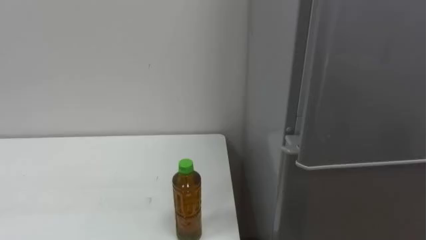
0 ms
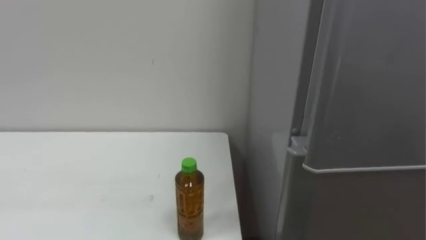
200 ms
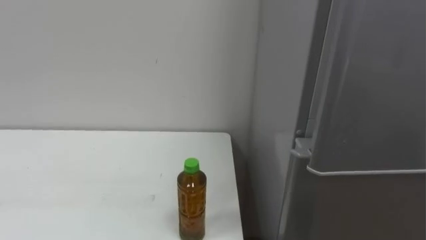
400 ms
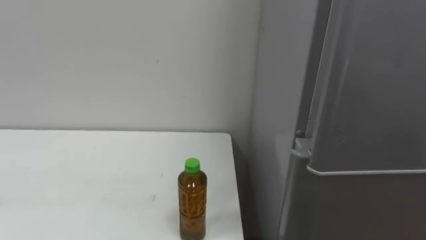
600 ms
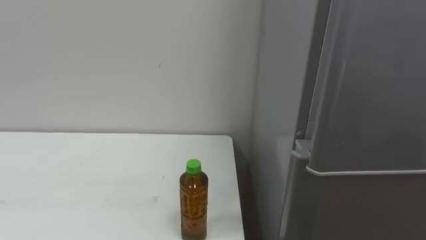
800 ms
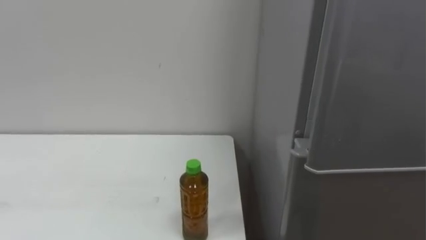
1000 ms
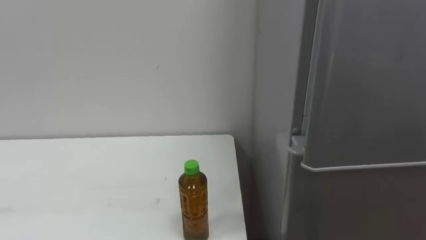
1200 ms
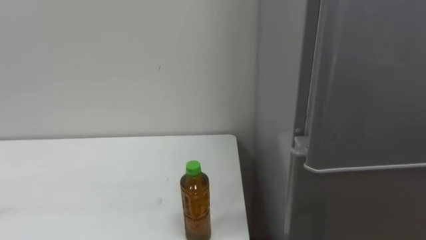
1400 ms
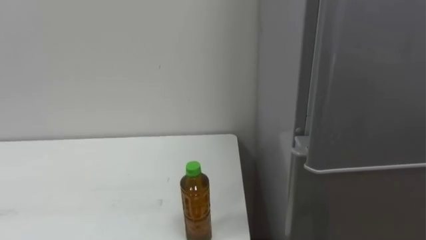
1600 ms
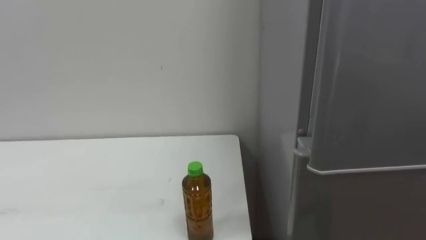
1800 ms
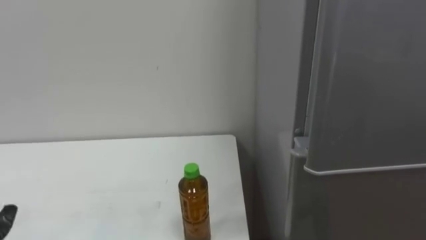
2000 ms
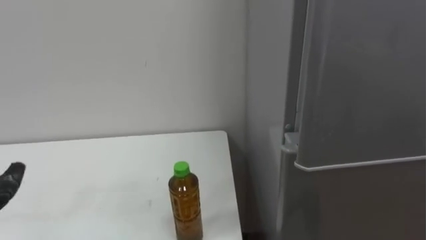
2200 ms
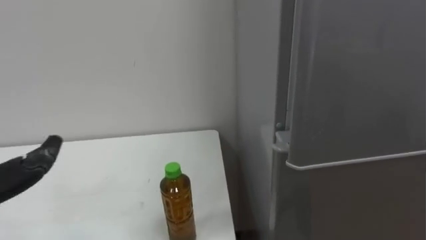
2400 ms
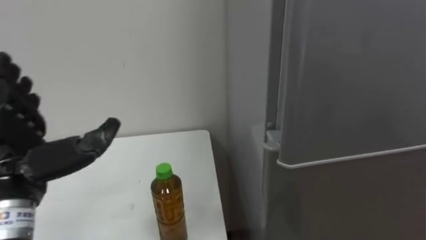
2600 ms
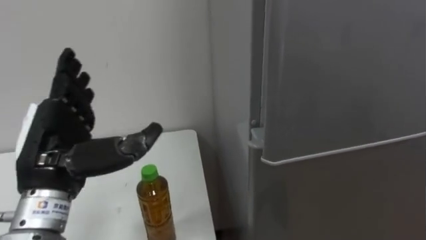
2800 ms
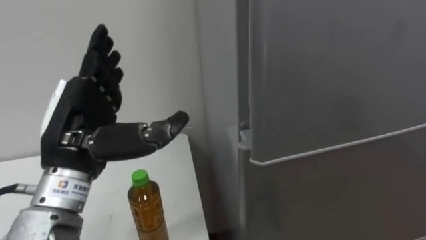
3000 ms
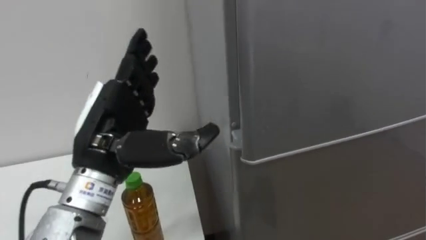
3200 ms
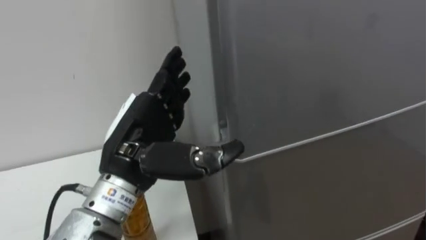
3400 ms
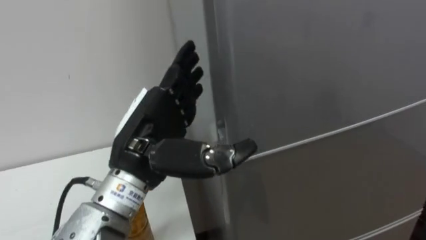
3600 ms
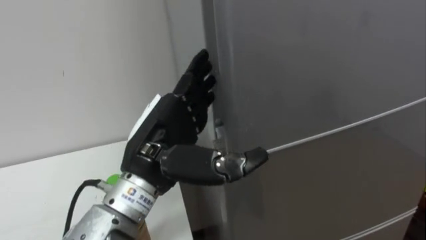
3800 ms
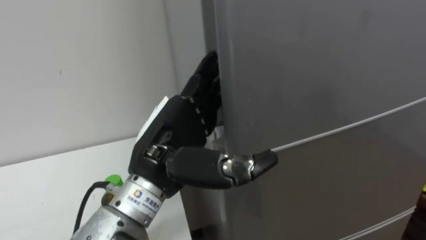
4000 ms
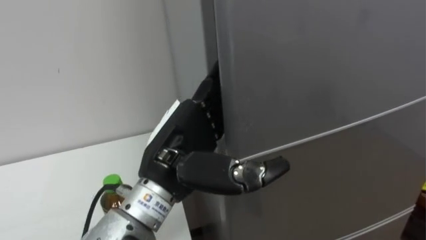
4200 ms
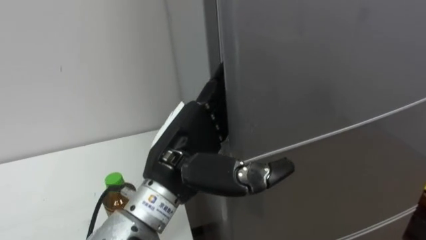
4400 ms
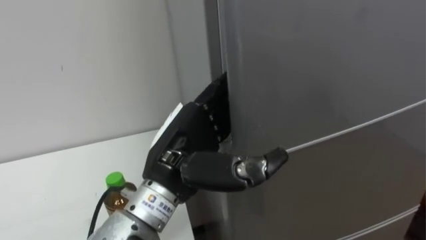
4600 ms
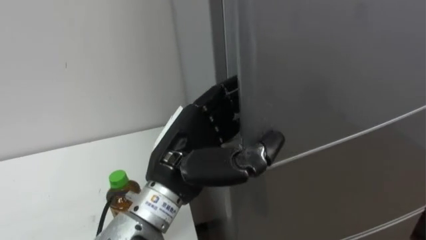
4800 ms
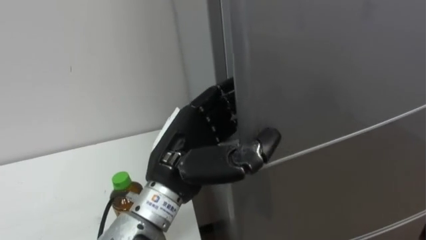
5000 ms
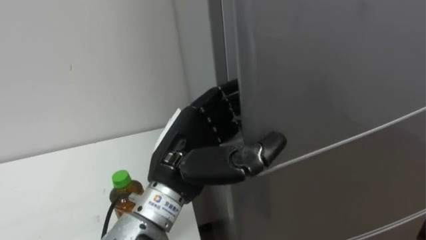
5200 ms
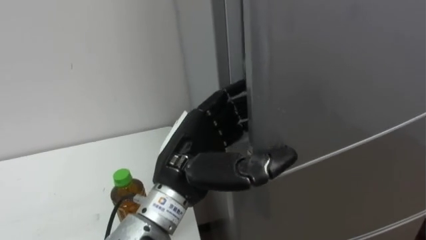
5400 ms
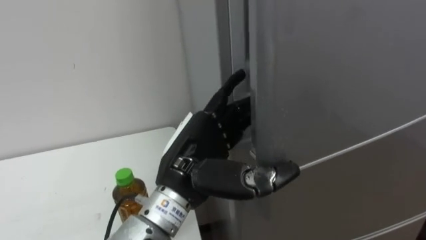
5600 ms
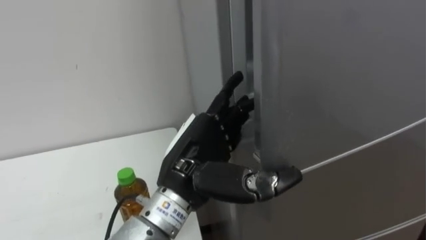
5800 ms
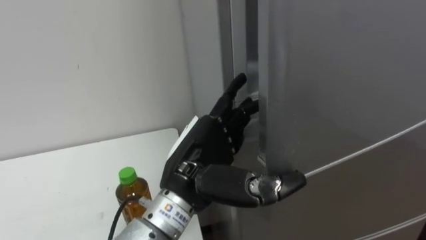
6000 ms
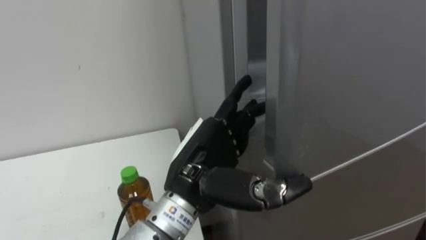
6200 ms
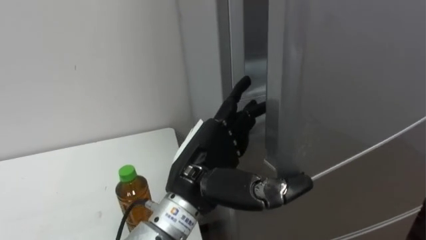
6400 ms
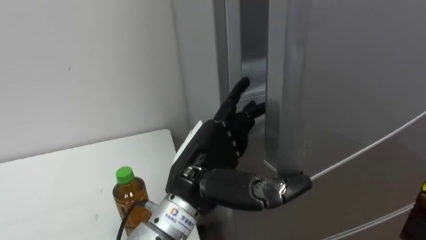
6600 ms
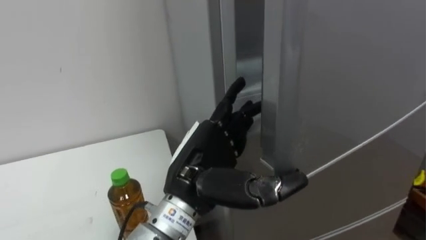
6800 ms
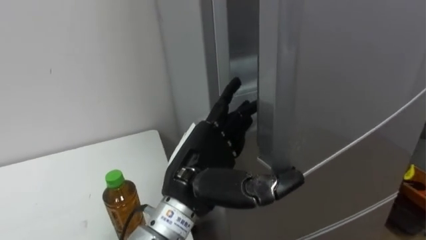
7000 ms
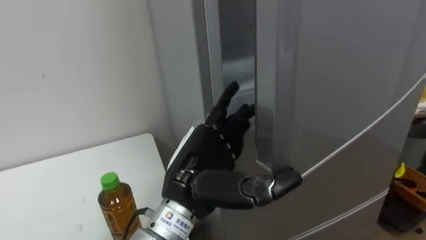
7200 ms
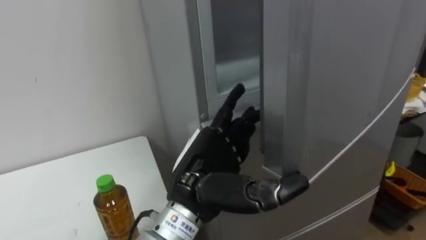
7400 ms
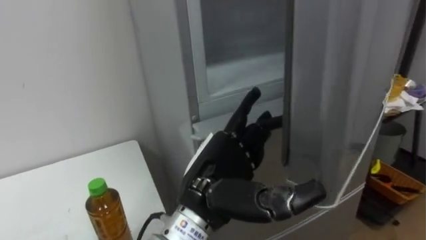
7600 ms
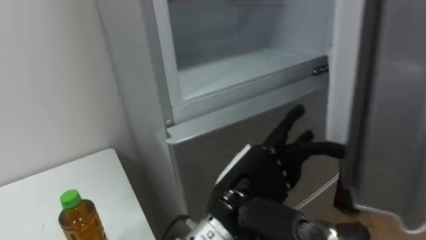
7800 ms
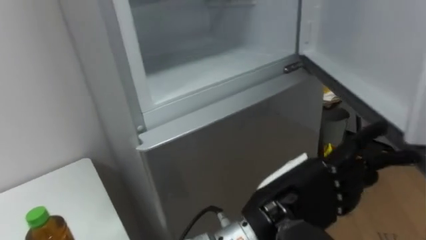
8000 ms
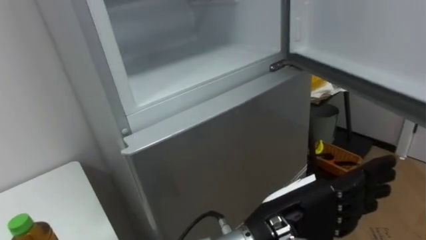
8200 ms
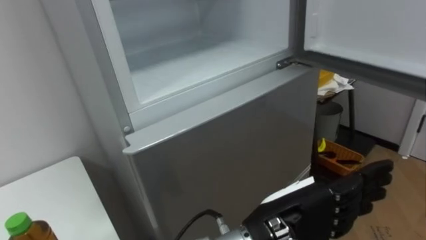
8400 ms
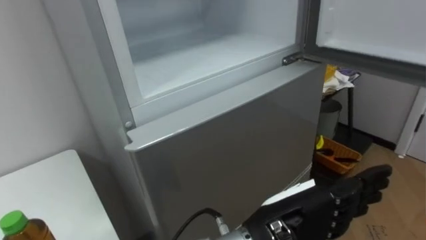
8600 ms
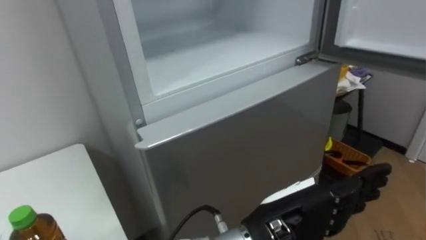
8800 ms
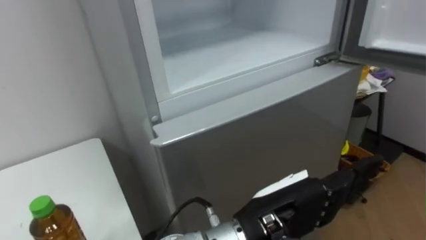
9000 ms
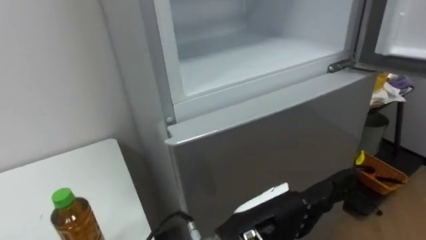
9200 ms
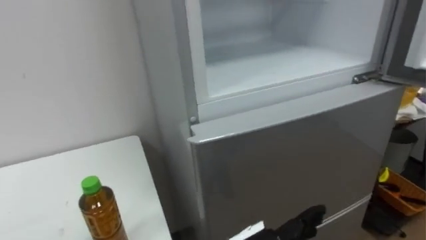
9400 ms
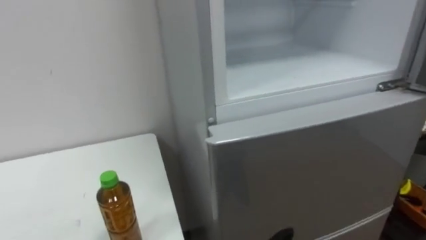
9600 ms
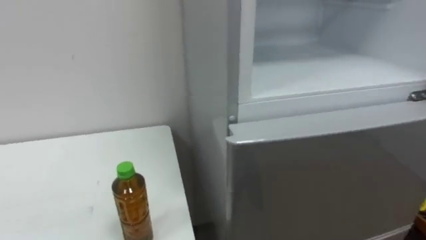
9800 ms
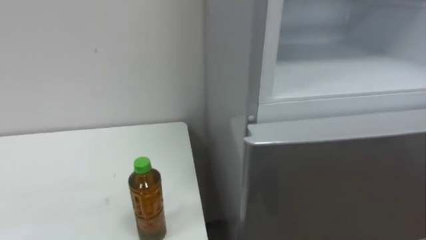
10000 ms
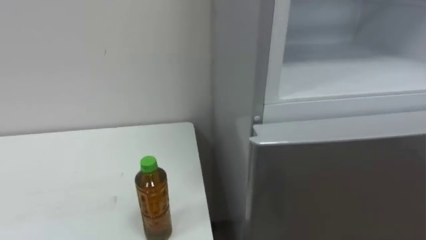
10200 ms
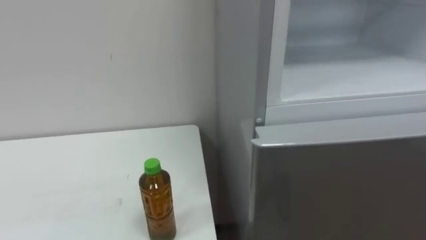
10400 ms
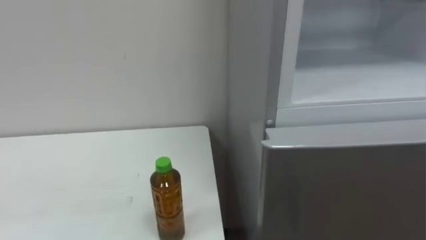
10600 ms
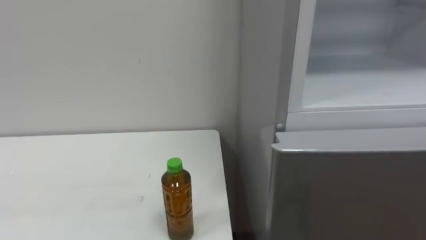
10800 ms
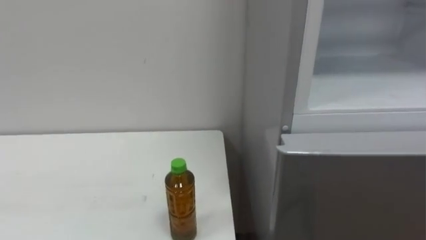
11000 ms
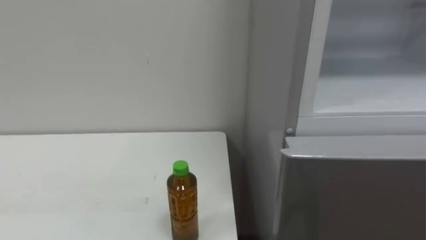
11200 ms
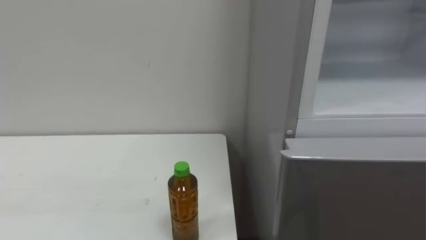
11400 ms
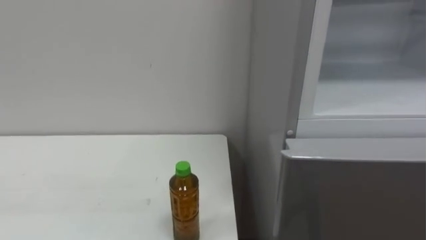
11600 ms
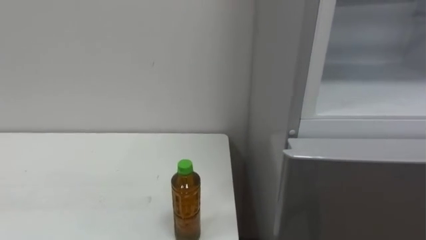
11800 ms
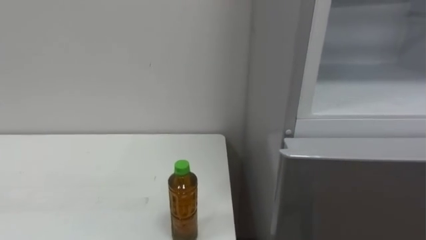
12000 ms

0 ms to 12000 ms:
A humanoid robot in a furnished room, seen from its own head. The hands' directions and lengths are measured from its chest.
Task of the whole recording: Open the upper refrigerator door, put the drink from the table into the refrigerator, and then close the refrigerator door.
3000 ms to 4400 ms: The left hand moves to the right, some 15 cm.
4400 ms to 6000 ms: The left hand closes, then reopens.
7600 ms to 9000 ms: The left hand shifts roughly 5 cm to the right.

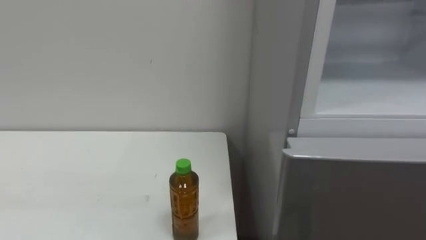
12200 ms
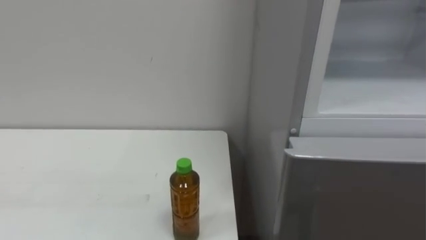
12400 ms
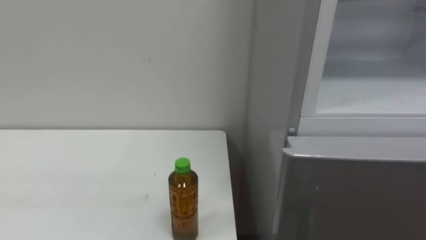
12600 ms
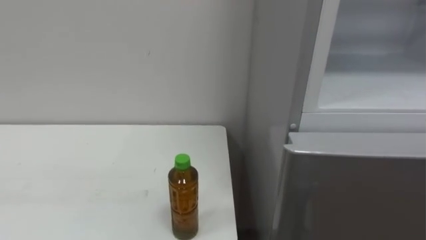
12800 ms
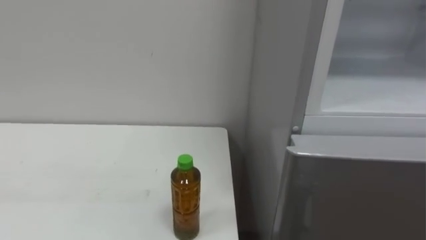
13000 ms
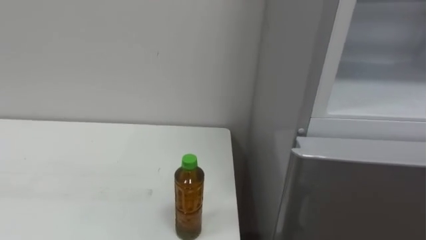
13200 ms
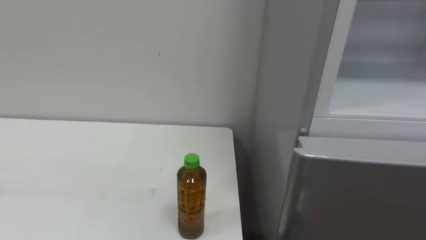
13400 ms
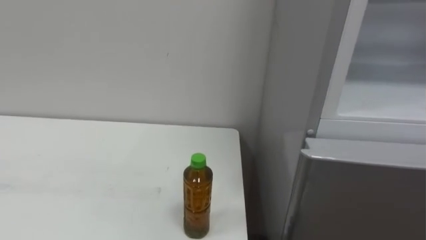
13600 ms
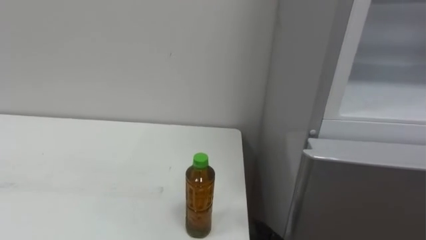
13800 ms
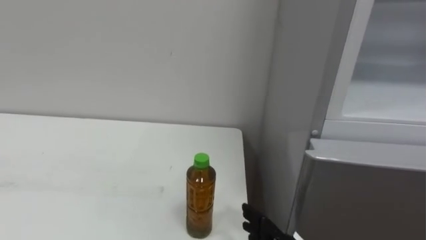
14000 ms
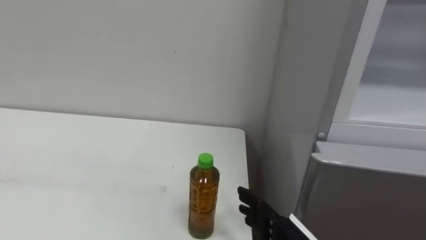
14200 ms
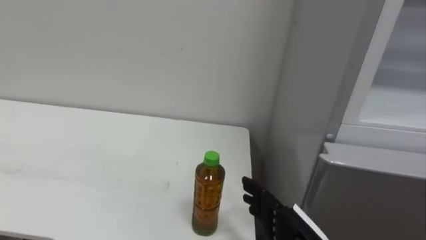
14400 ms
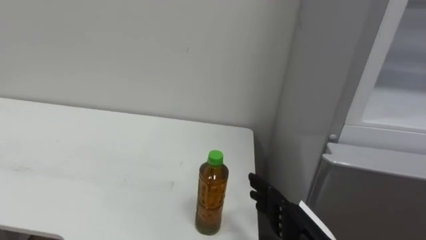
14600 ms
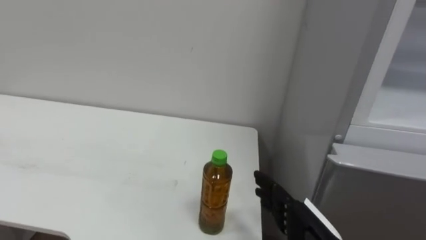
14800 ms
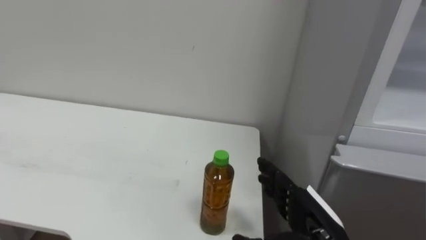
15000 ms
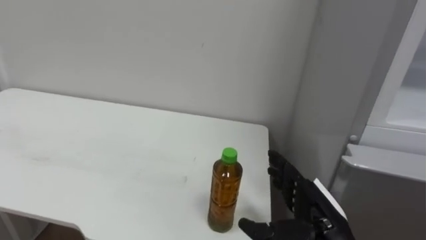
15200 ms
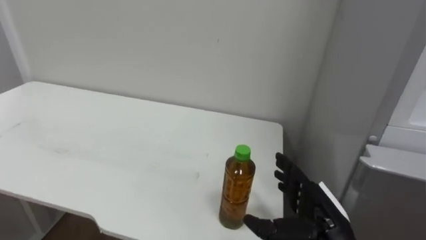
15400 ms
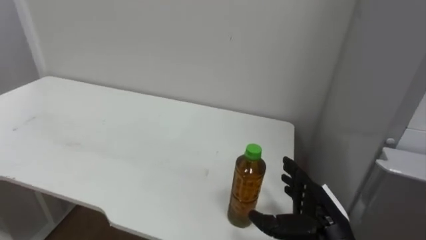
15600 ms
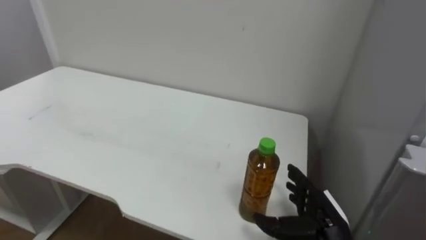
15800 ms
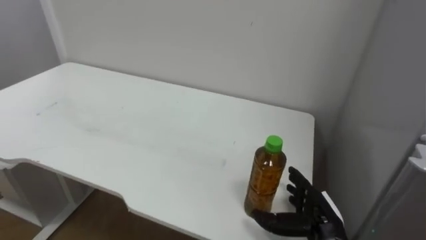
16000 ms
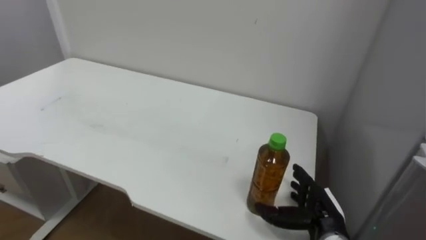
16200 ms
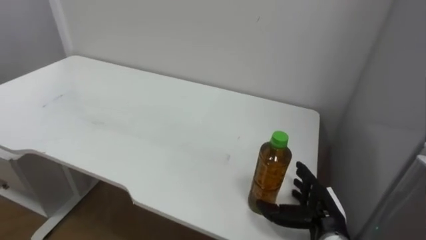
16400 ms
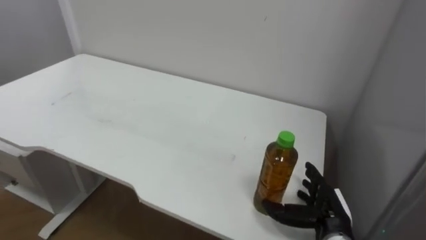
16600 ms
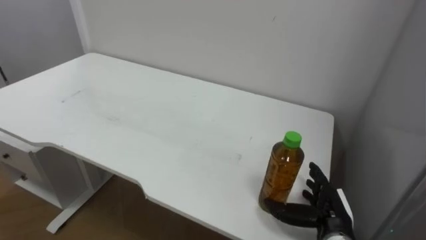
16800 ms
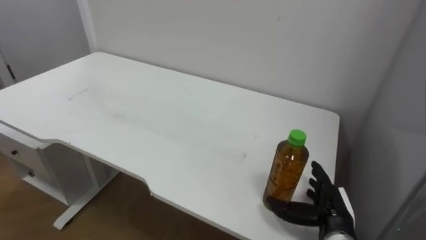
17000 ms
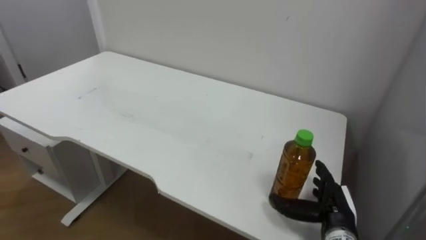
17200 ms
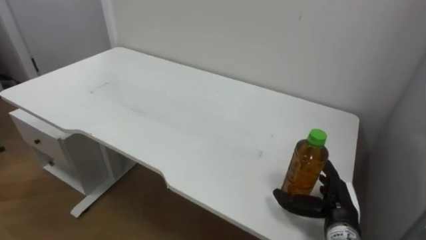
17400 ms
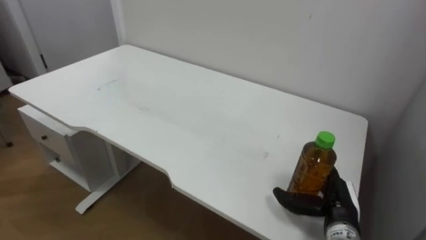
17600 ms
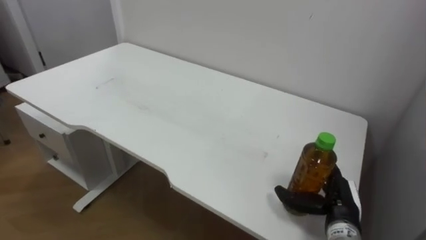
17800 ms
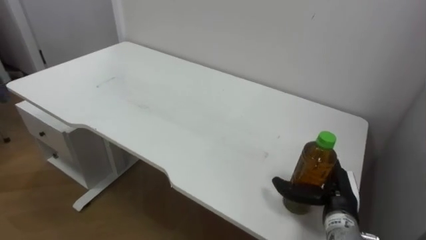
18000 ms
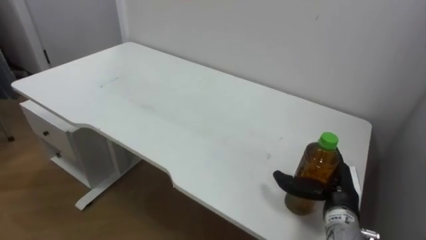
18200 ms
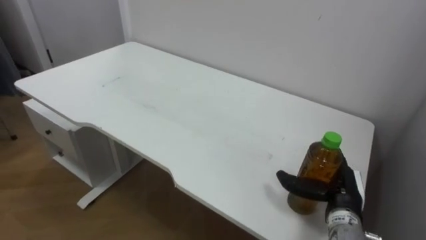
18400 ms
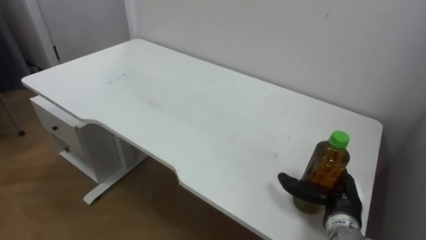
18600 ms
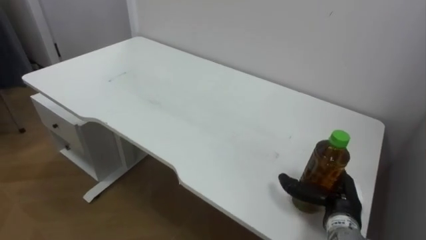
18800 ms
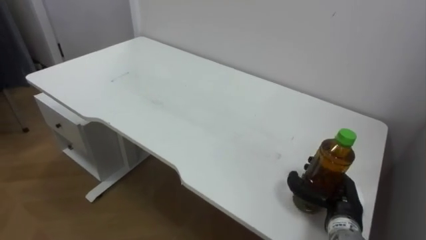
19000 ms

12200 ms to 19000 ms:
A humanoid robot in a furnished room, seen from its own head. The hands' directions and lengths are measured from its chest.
Task of the whole recording: Open the upper refrigerator door, put the drink from the table into the refrigerator, and then close the refrigerator door.
15000 ms to 16200 ms: The right hand is displaced downward and forward by about 10 cm.
17600 ms to 19000 ms: The right hand closes up.
